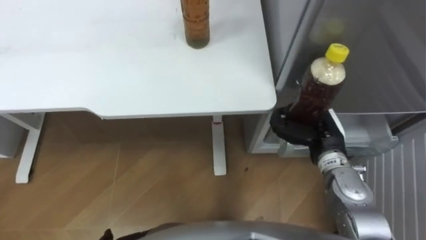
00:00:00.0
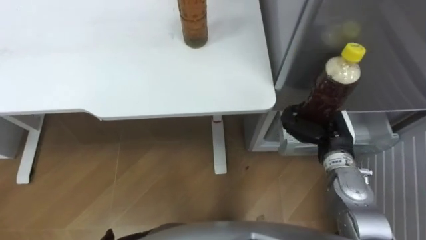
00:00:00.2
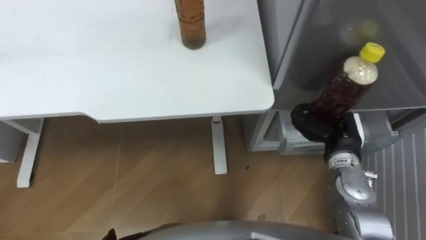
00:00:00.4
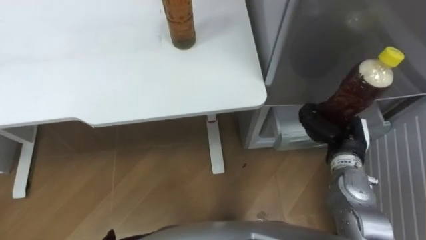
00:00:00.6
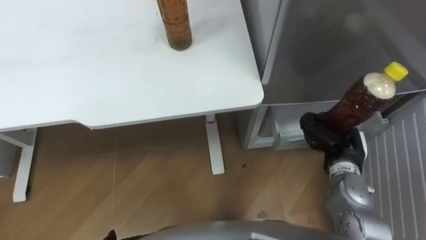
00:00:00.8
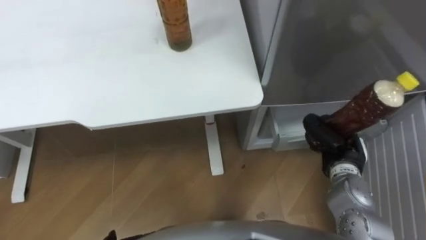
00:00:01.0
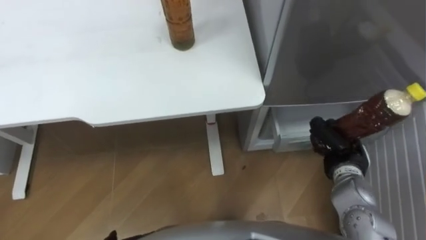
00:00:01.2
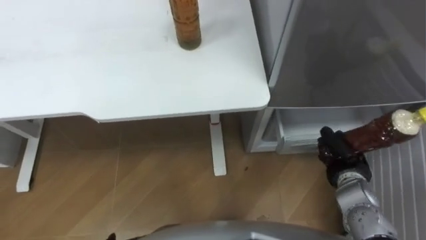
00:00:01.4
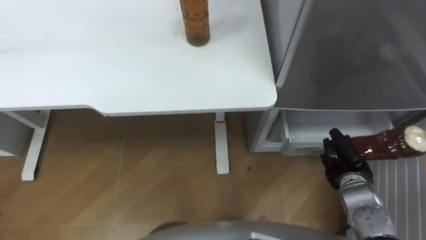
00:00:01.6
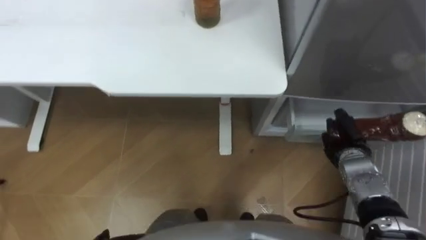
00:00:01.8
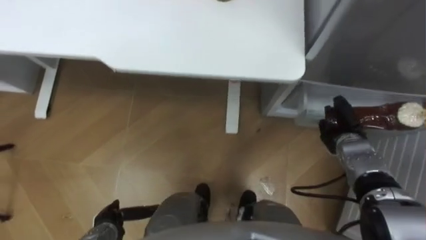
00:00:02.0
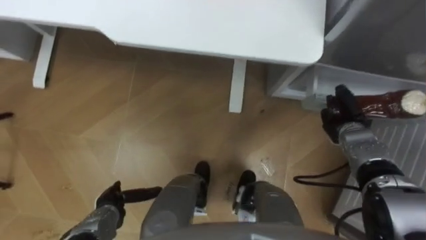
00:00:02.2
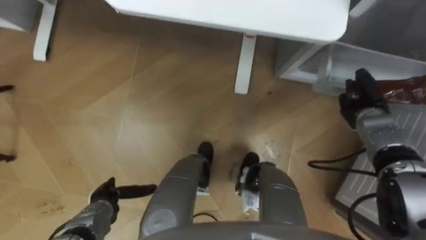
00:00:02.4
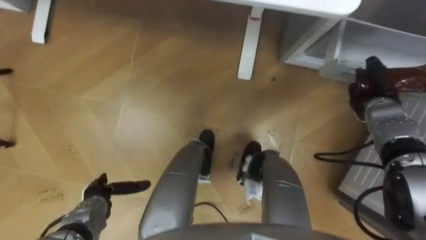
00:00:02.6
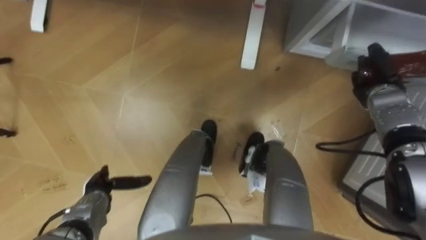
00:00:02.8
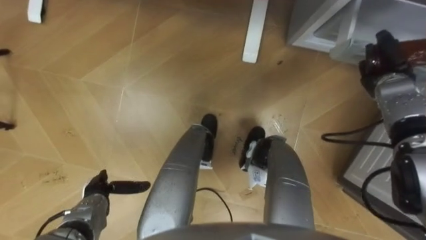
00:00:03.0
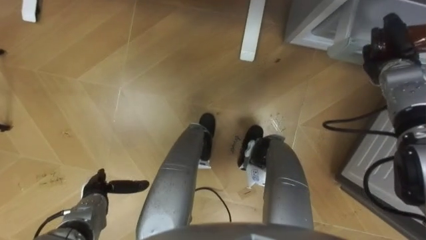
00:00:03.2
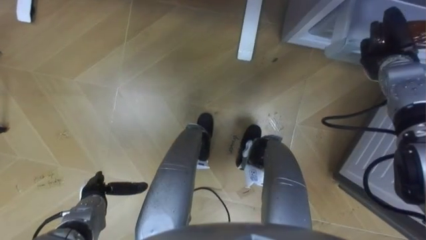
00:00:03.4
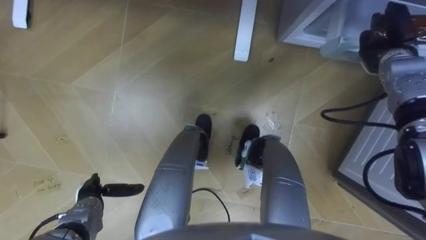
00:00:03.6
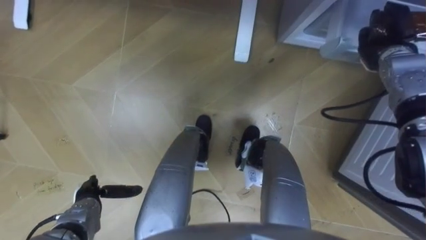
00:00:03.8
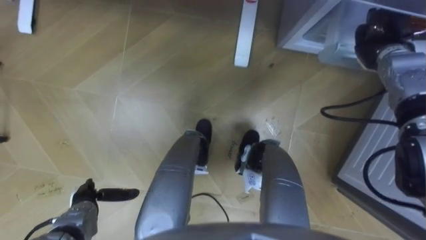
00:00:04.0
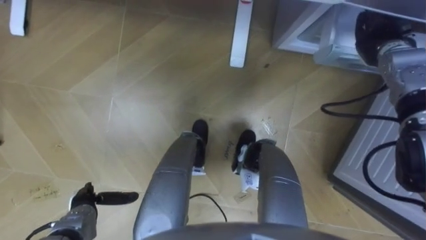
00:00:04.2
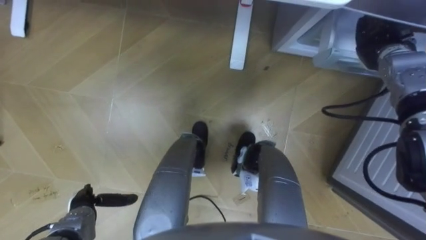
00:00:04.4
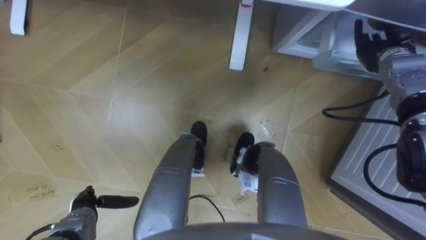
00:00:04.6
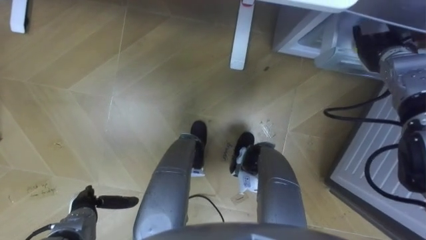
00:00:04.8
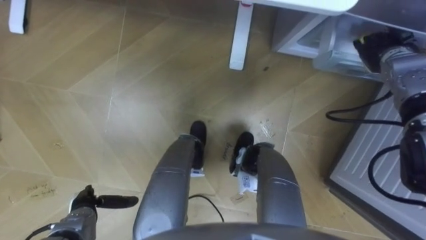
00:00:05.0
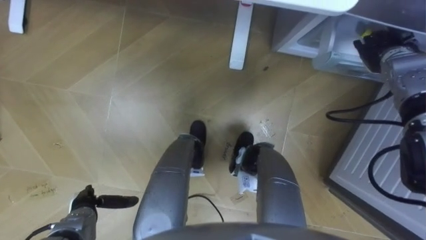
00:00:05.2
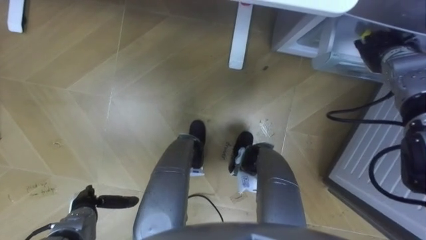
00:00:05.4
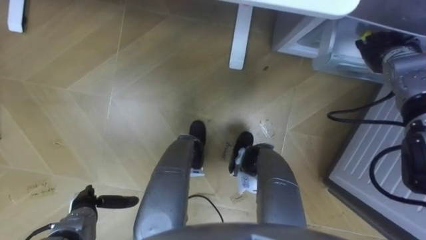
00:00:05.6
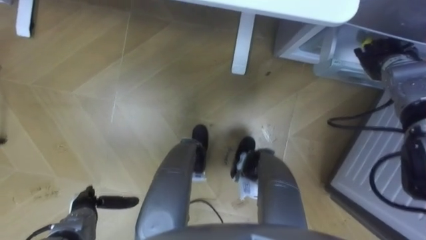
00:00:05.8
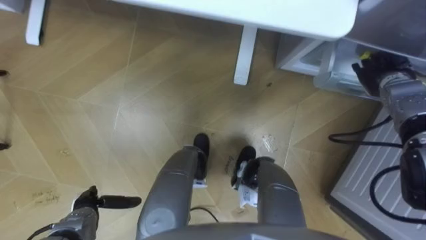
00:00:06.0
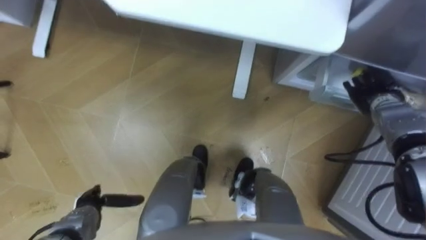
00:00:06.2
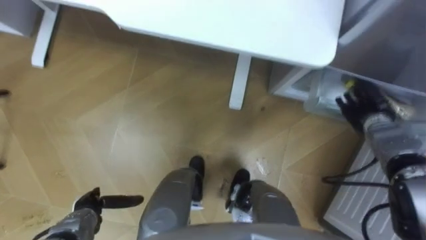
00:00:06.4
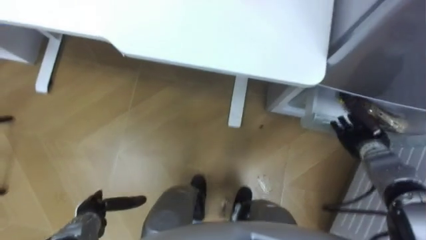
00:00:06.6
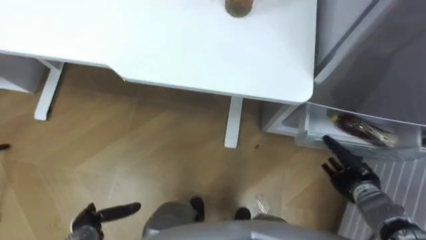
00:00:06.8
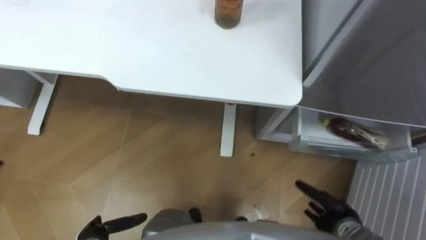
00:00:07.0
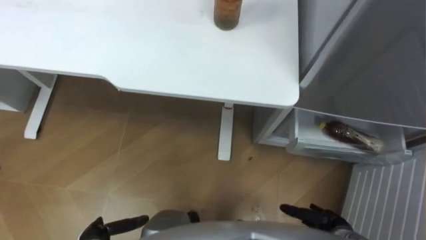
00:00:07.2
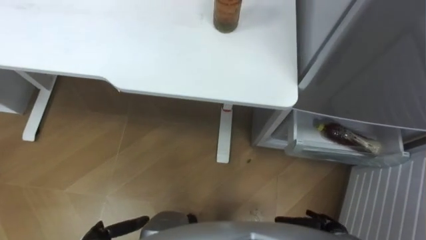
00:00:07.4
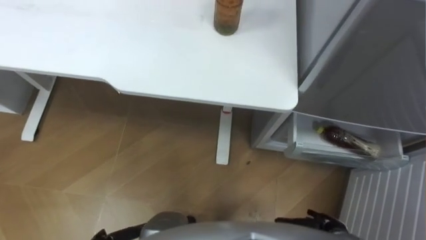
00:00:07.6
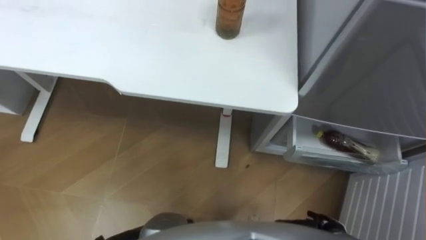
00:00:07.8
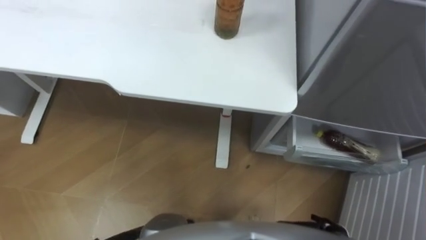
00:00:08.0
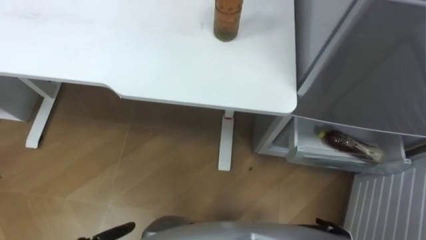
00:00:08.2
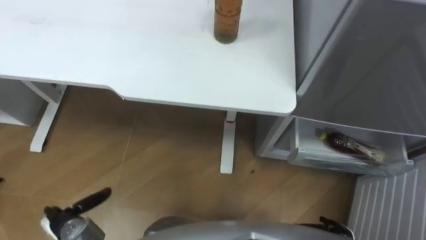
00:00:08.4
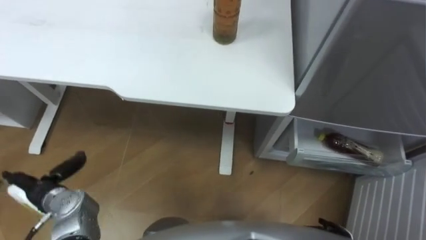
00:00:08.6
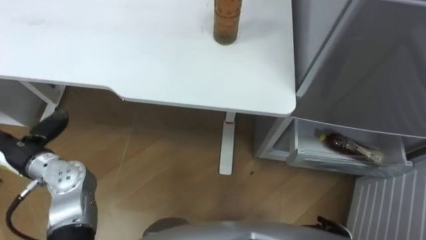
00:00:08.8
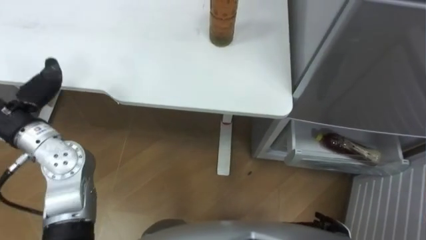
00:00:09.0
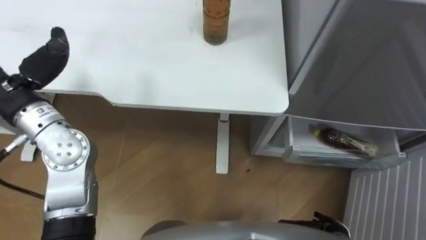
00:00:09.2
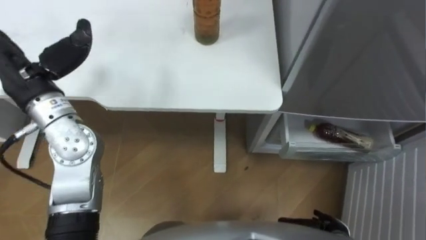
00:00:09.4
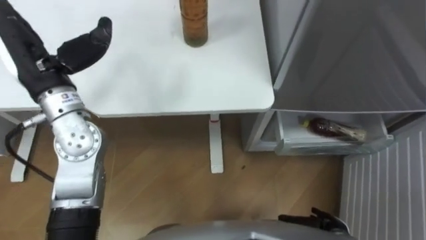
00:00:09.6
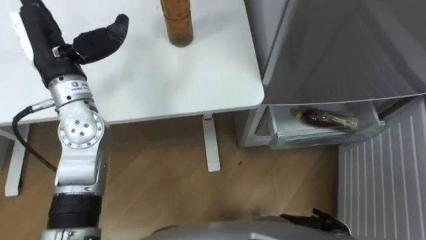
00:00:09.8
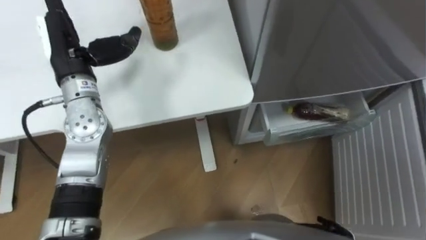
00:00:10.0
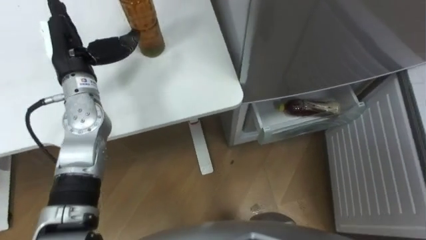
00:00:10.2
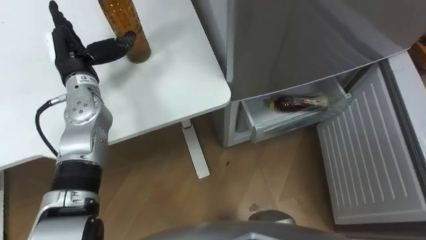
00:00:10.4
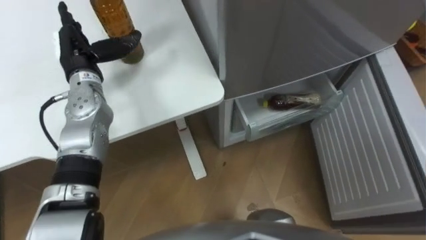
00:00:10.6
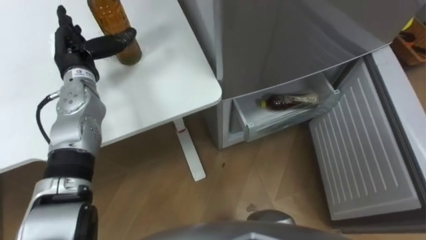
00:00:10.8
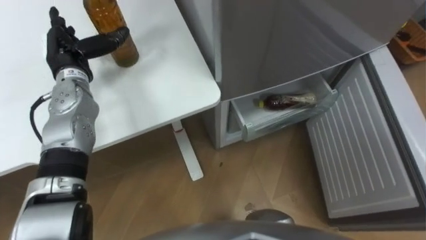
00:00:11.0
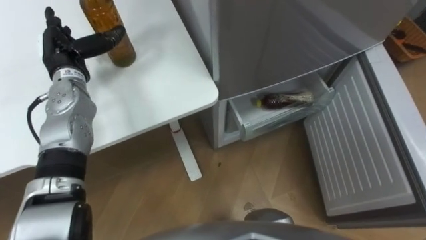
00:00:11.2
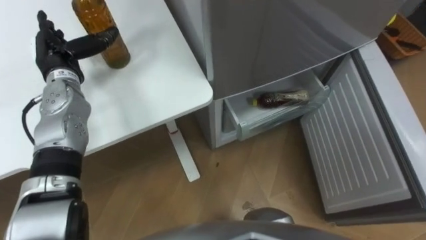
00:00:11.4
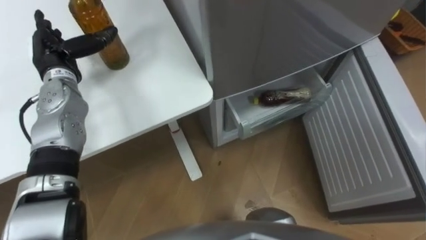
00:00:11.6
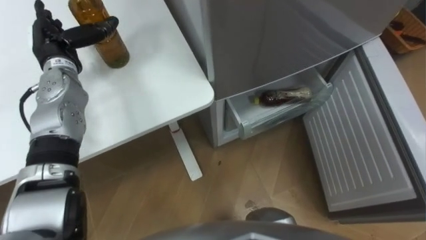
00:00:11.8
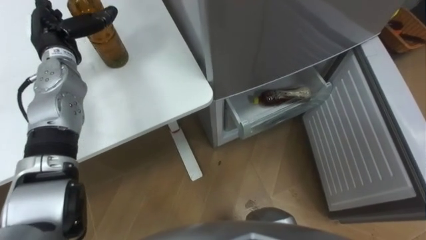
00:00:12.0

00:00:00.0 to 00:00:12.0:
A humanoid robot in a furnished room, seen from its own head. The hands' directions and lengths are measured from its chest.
Task of the whole recording: Place the drink on the table on the bottom shelf of the refrigerator, then close the drawer and the refrigerator door.
00:00:00.0 to 00:00:01.6: The right hand is displaced downward, to the right and backward by roughly 15 cm.
00:00:01.6 to 00:00:03.0: The right hand goes approximately 20 cm forward and upward.
00:00:03.0 to 00:00:04.4: The right hand ends up some 5 cm from where it was, and opens up.
00:00:04.4 to 00:00:06.0: The right hand moves about 5 cm, and opens its fingers.
00:00:06.0 to 00:00:07.6: The right hand goes some 35 cm backward and downward.
00:00:09.0 to 00:00:10.4: The left hand shifts some 15 cm forward and to the right.

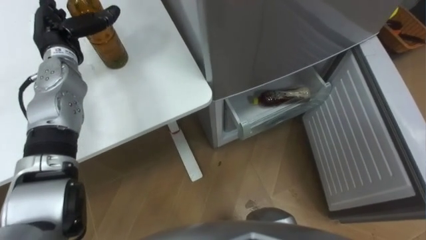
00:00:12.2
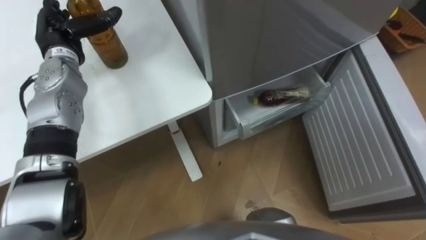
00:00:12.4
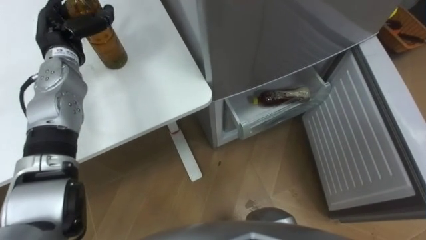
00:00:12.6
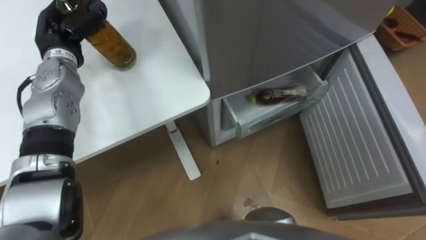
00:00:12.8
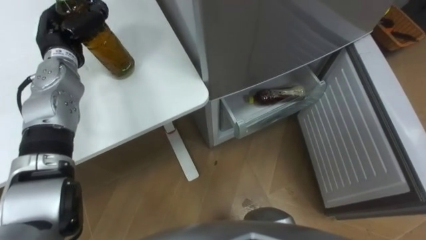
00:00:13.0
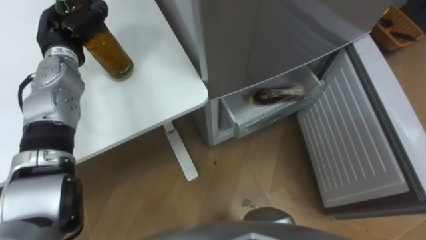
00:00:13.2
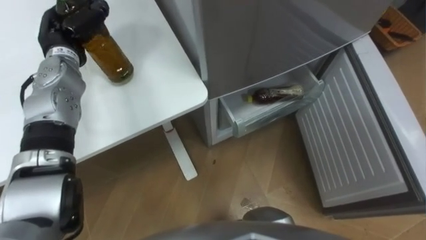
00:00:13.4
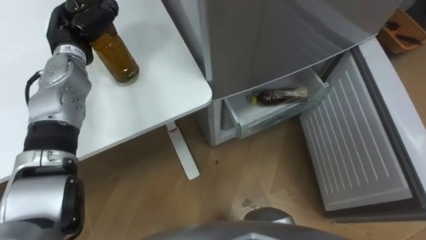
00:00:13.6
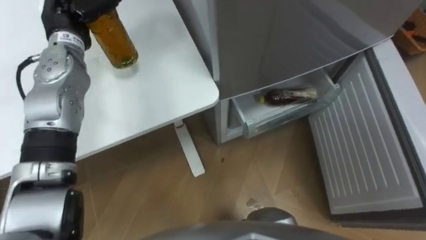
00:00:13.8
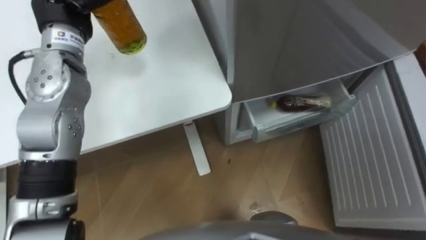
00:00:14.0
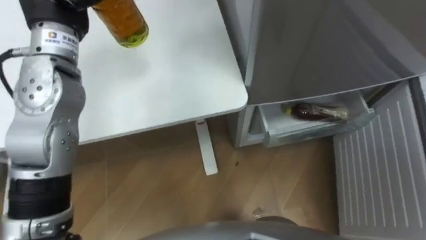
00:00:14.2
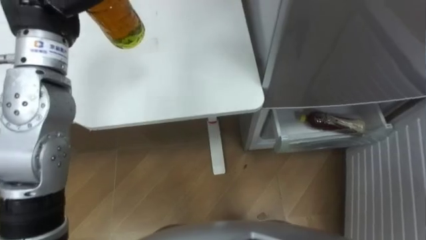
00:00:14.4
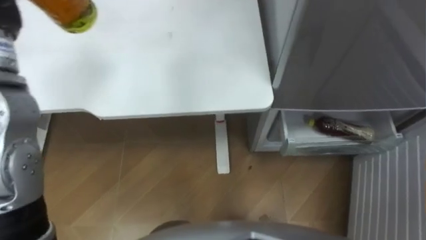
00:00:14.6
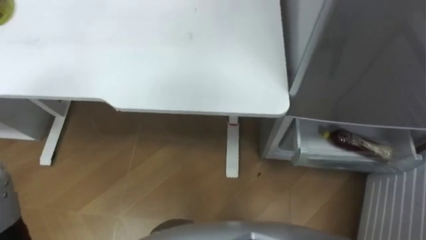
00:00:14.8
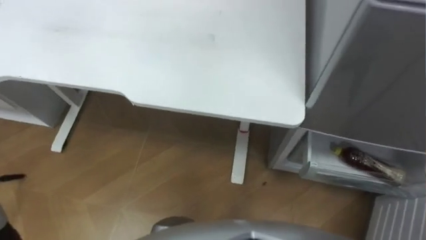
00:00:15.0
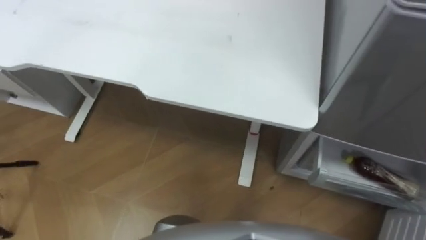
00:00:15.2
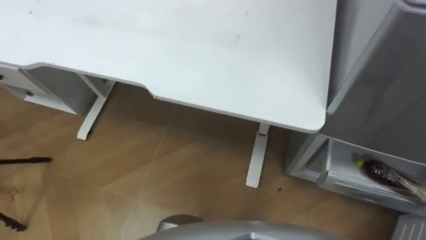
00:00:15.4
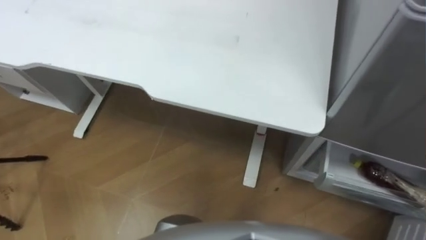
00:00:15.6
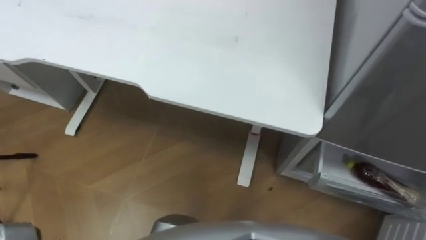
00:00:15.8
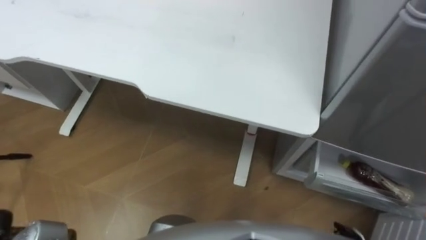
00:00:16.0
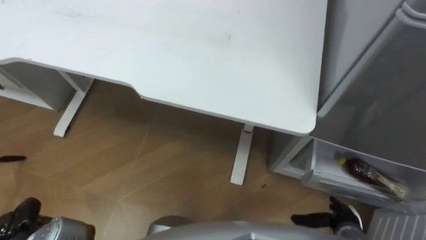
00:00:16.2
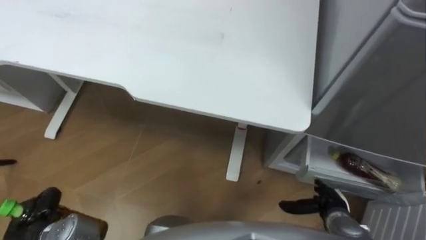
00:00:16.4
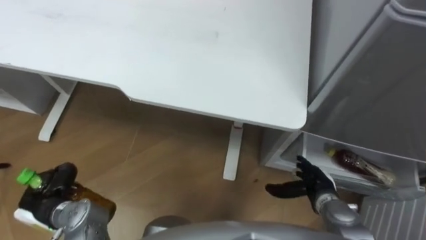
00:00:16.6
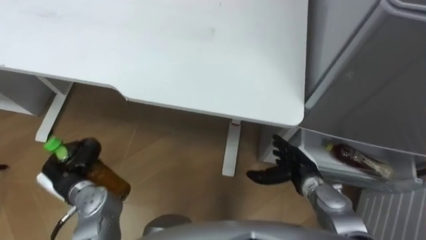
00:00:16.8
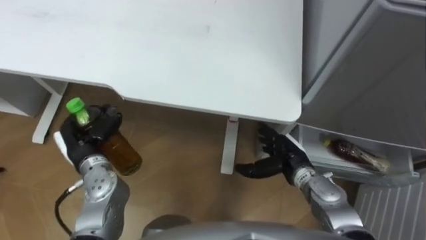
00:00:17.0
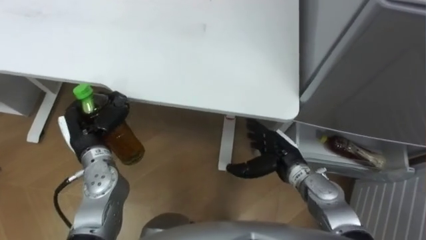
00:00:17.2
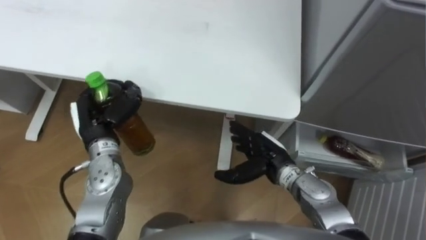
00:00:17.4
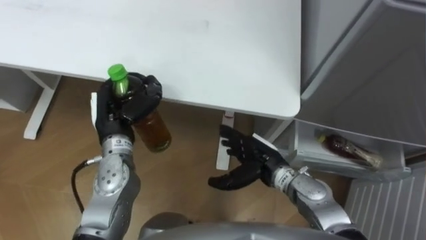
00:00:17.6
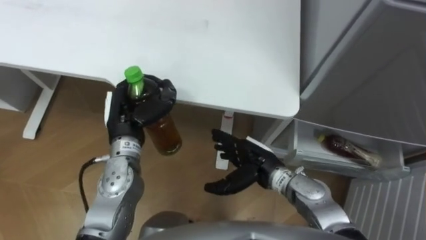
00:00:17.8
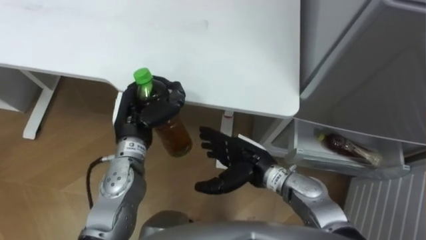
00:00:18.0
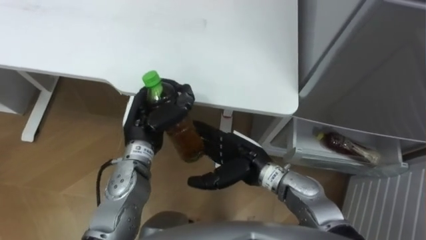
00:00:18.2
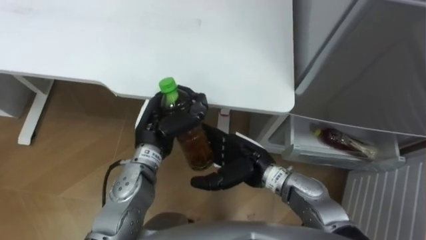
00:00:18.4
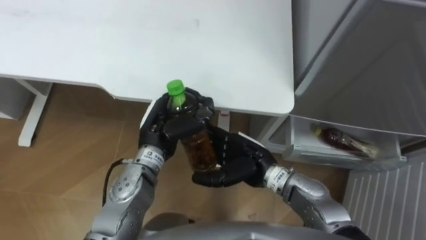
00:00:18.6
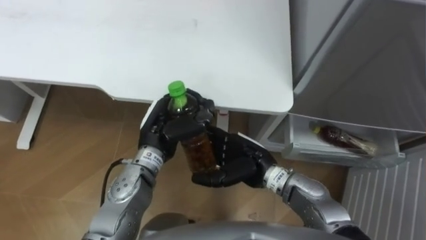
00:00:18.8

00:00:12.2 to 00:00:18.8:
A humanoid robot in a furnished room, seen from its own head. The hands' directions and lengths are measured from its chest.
Task of the whole recording: Place the drink on the table on the bottom shelf of the refrigerator, then close the drawer and the refrigerator door.
00:00:12.2 to 00:00:13.8: The left hand closes its fingers.
00:00:17.2 to 00:00:18.8: The right hand travels to the left by roughly 10 cm. Meanwhile the left hand heads to the right, covering roughly 15 cm.
